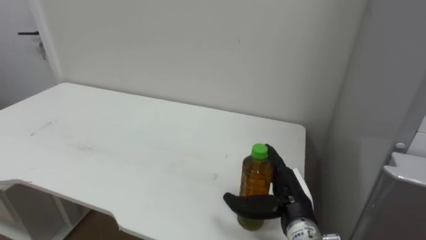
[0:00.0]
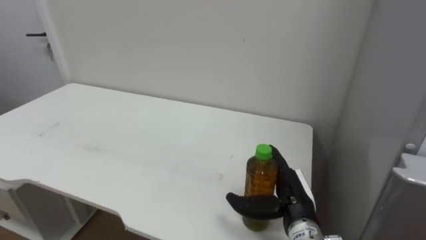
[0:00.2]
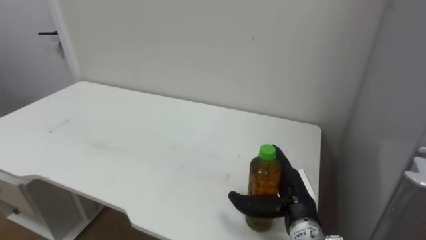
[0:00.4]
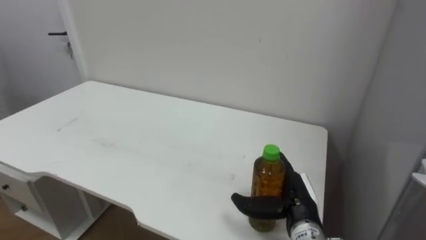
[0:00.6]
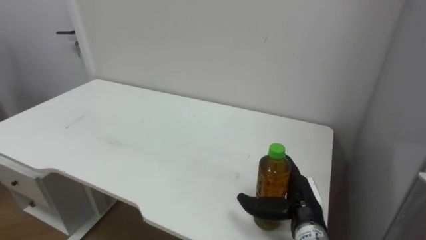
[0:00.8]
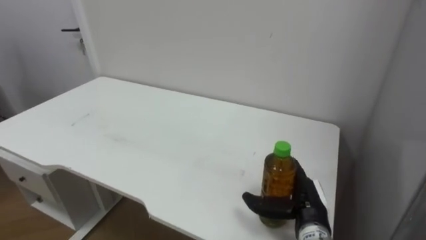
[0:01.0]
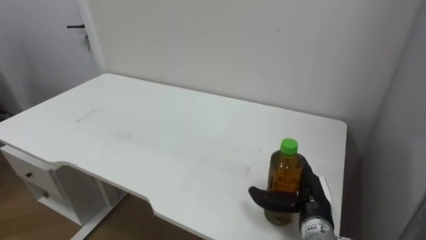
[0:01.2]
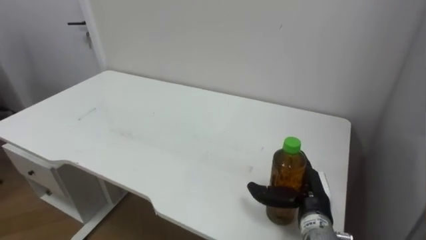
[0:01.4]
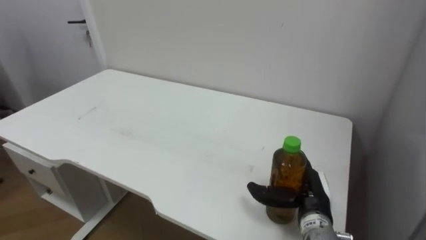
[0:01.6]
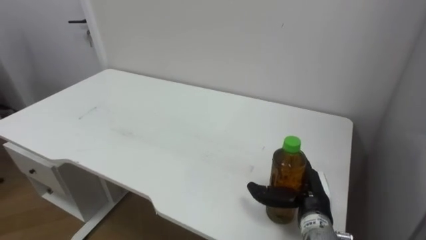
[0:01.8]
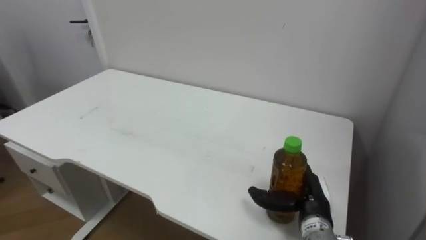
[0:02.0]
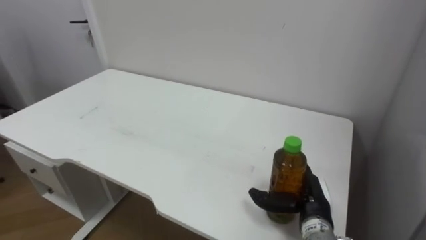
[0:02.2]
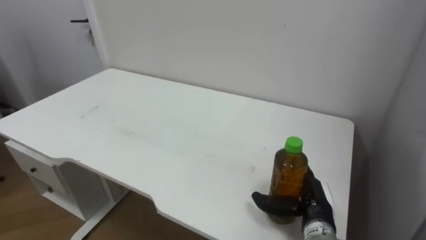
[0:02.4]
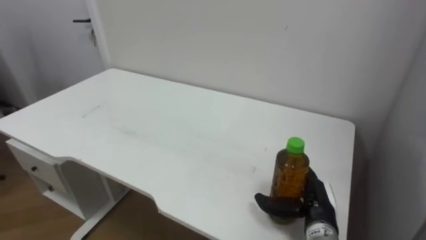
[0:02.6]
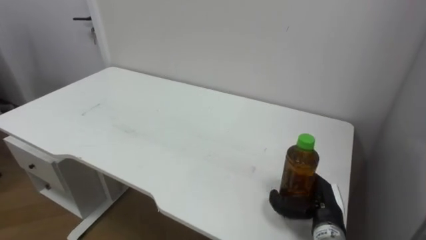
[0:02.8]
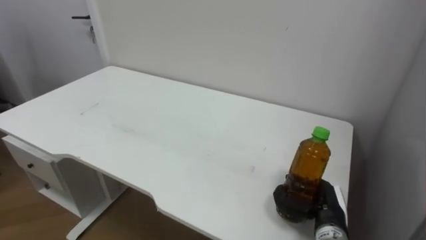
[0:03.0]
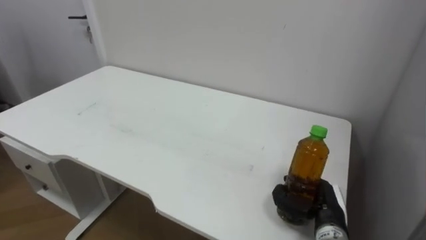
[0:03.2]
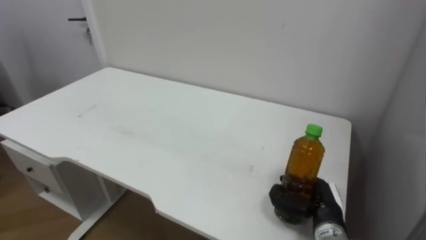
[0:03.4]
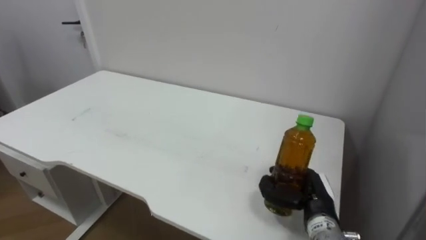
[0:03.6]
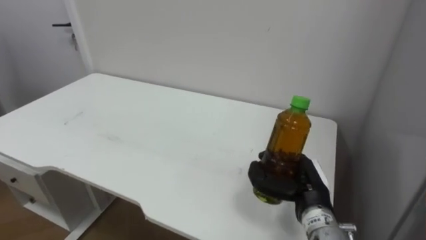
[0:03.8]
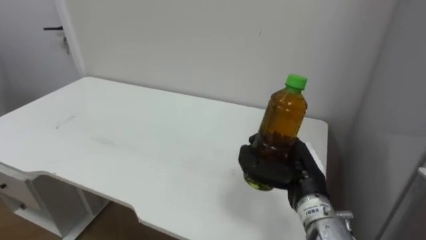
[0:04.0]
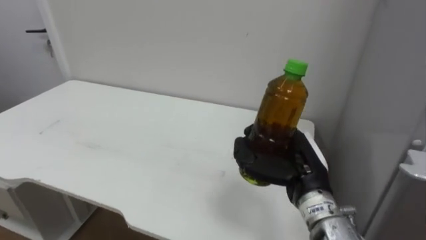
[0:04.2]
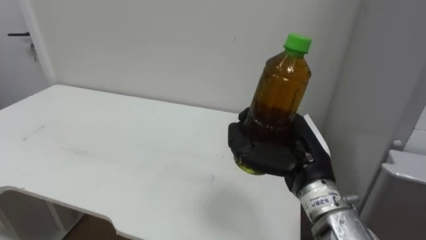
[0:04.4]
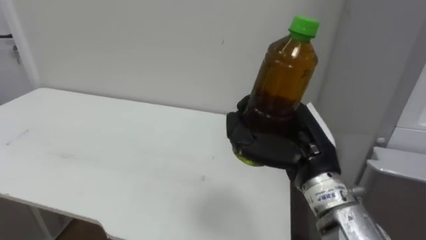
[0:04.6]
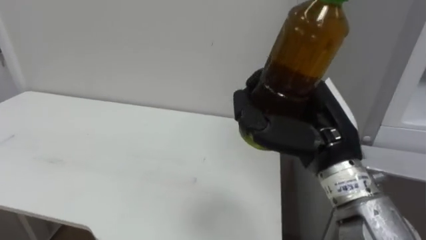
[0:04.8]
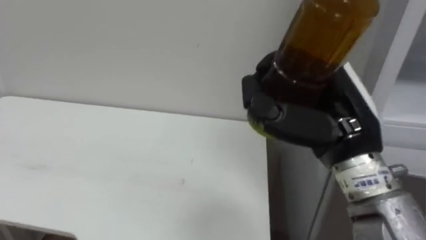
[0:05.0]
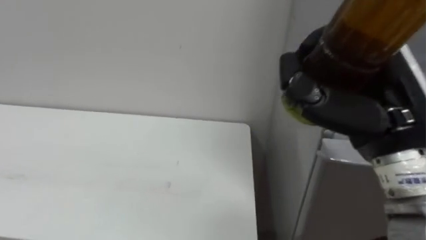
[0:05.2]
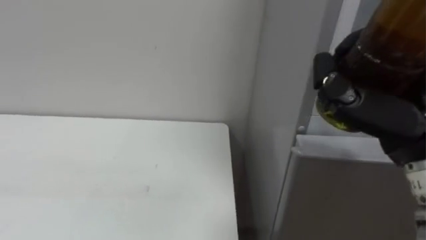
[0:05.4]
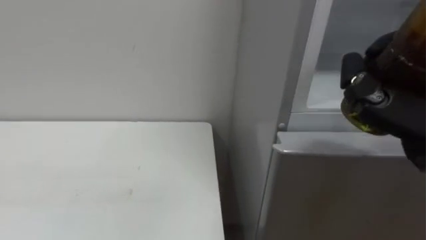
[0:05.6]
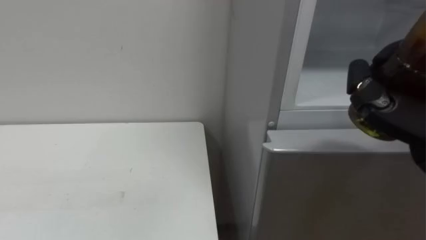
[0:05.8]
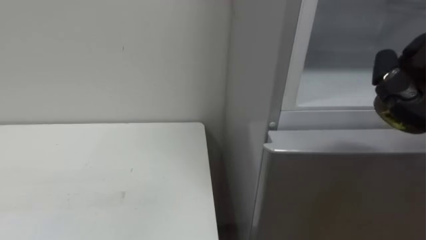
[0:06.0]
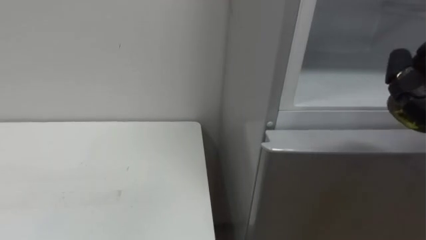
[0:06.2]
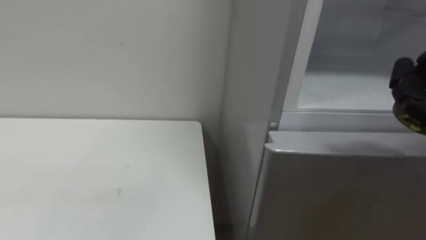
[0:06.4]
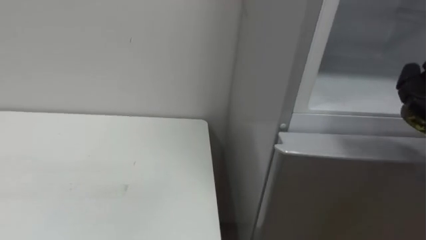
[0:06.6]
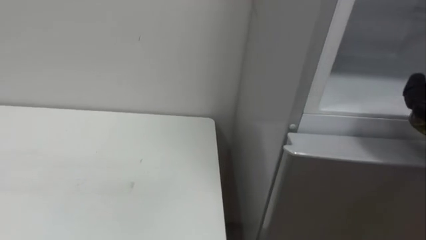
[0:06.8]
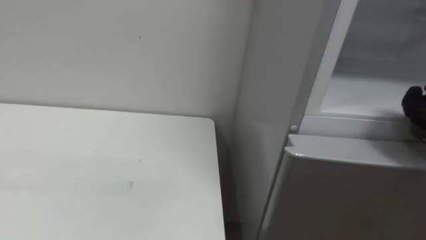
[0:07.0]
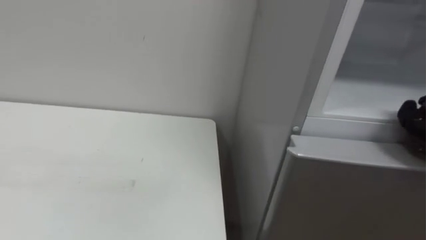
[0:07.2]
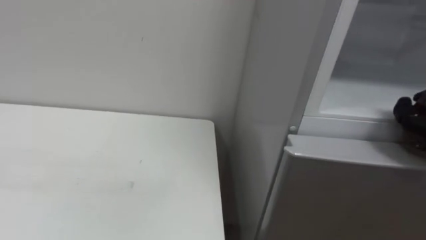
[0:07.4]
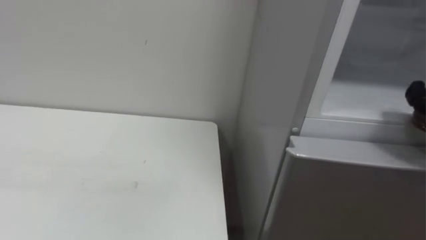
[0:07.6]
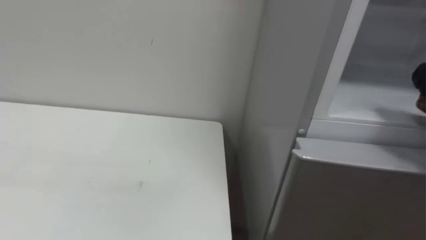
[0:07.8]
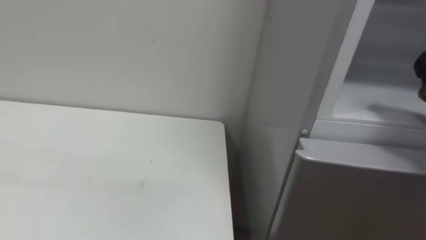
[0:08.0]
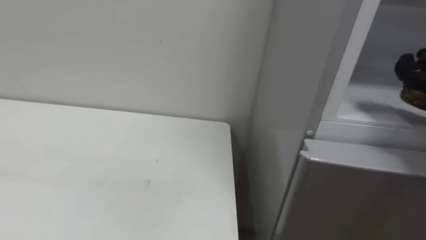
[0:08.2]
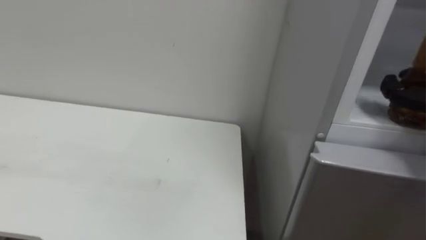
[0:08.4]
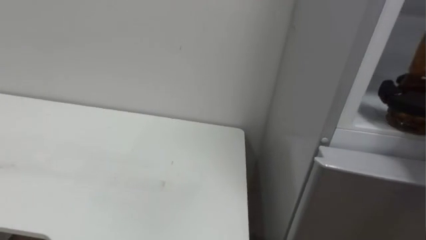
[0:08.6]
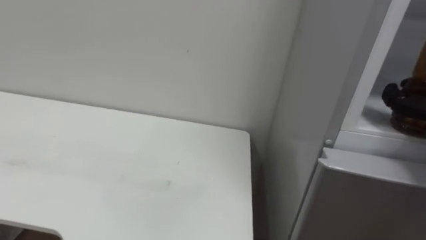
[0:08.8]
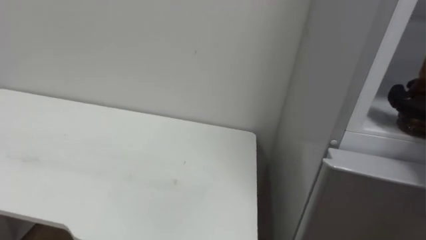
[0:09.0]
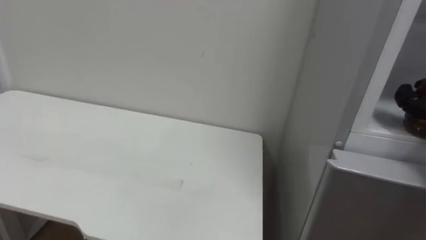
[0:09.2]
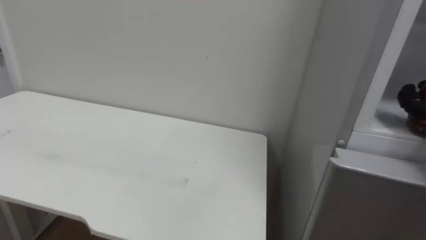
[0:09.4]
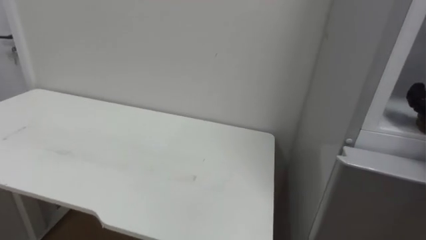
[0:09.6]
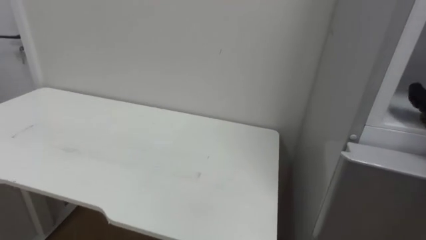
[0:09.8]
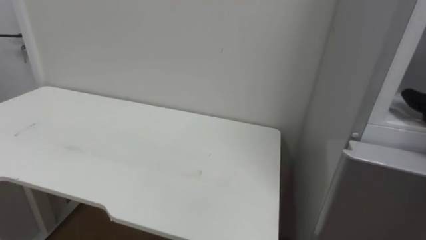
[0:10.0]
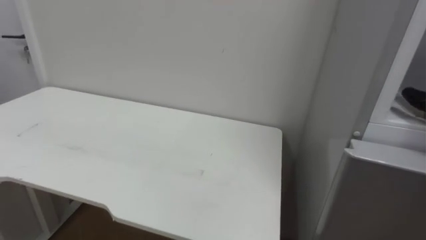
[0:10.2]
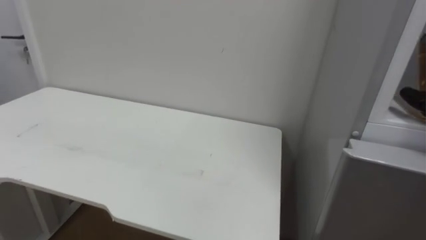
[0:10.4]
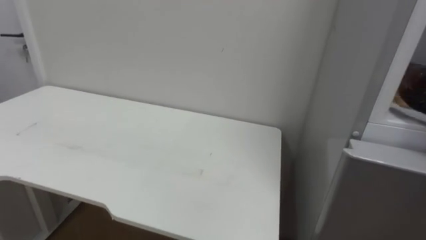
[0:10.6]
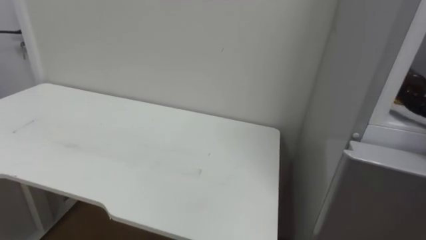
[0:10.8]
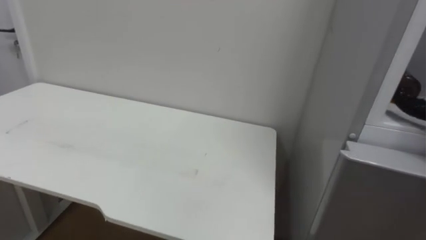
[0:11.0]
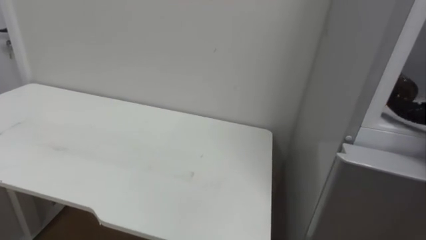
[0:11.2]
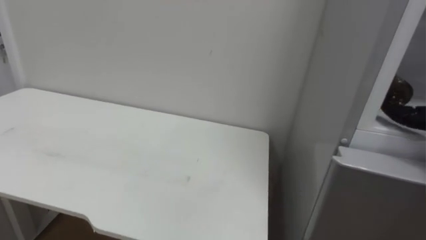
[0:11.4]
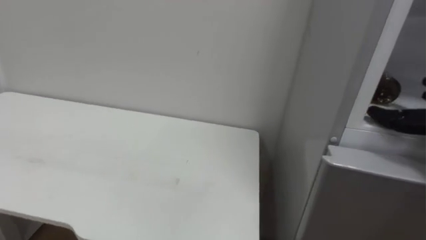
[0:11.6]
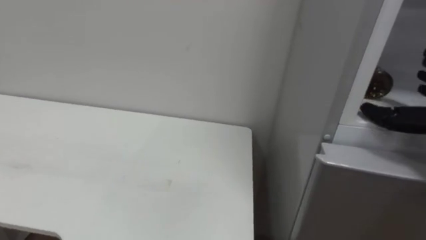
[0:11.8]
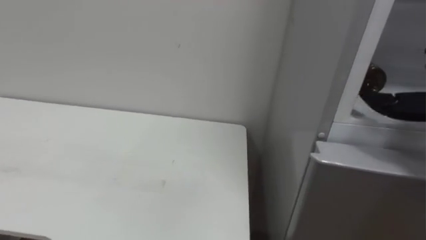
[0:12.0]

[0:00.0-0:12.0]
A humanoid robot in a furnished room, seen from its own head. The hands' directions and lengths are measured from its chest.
Task of the whole recording: Open the upper refrigerator door, put the drink from the table into the refrigerator, and then close the refrigerator door.
0:01.6 to 0:03.0: The right hand closes up.
0:03.0 to 0:04.4: The right hand goes some 20 cm upward and to the left.

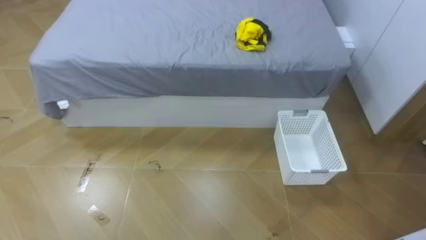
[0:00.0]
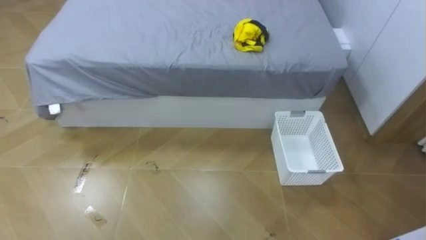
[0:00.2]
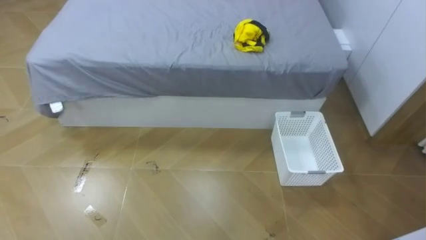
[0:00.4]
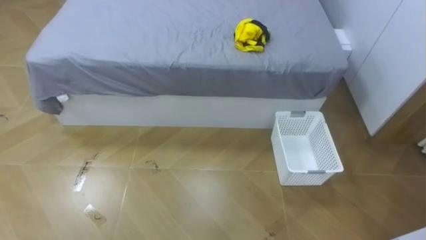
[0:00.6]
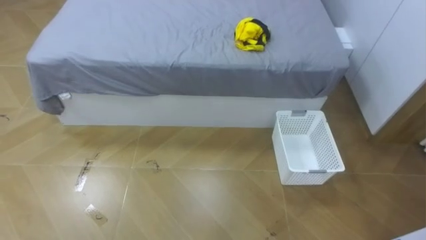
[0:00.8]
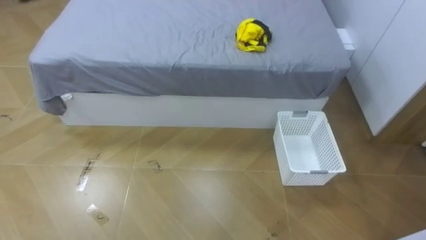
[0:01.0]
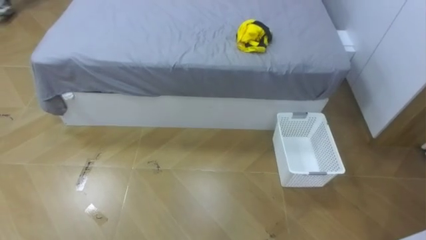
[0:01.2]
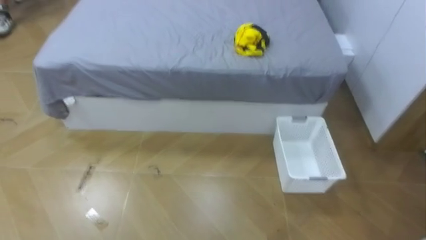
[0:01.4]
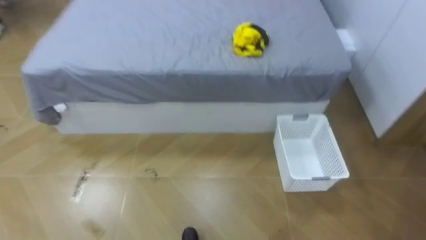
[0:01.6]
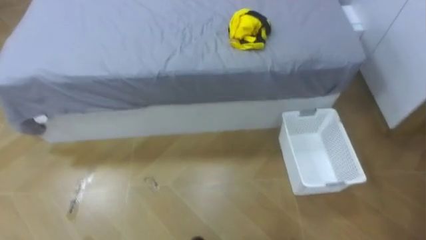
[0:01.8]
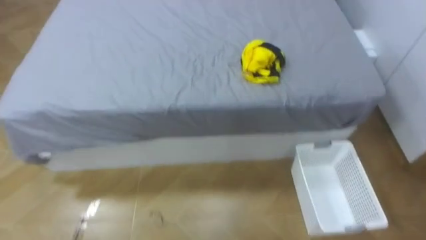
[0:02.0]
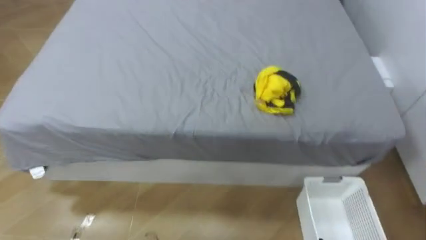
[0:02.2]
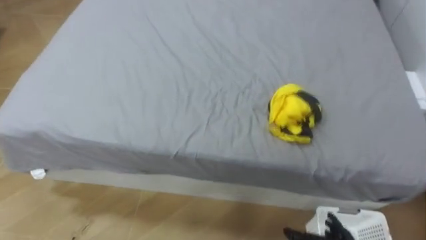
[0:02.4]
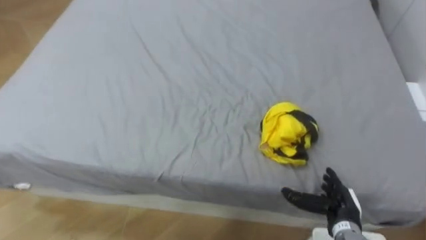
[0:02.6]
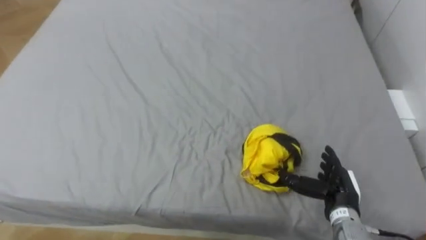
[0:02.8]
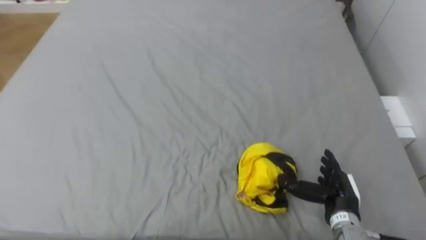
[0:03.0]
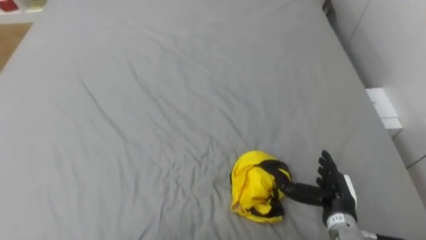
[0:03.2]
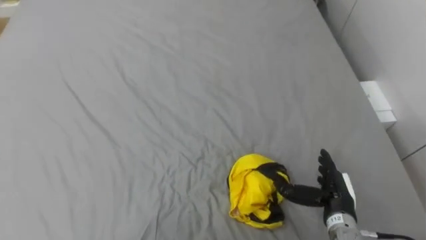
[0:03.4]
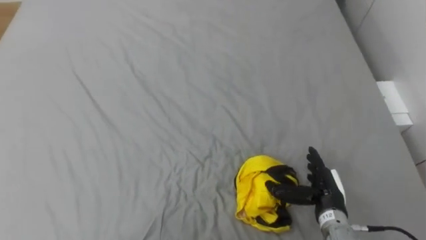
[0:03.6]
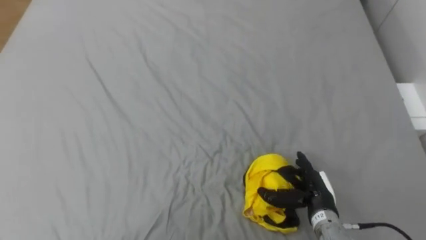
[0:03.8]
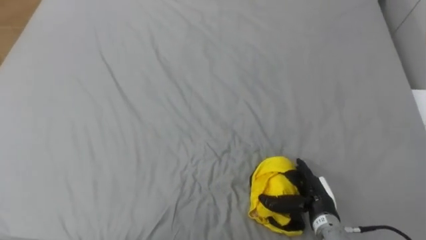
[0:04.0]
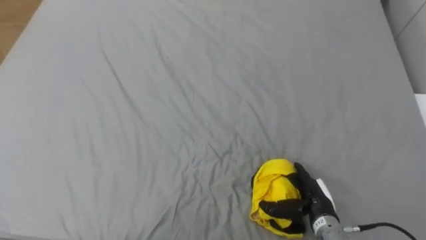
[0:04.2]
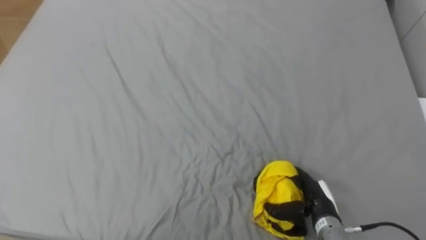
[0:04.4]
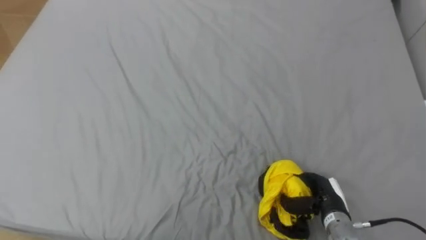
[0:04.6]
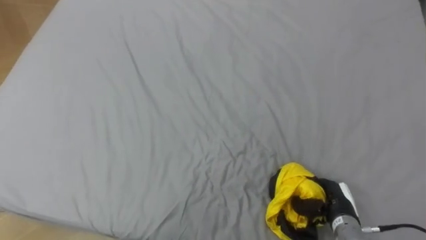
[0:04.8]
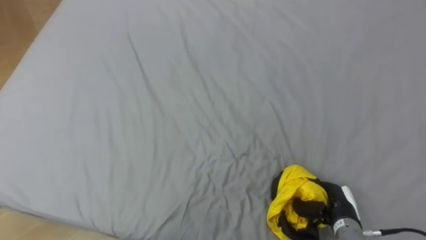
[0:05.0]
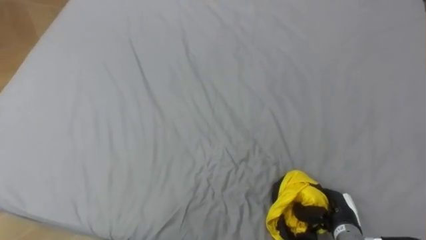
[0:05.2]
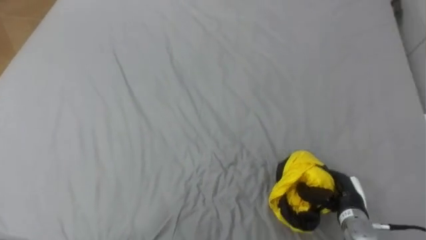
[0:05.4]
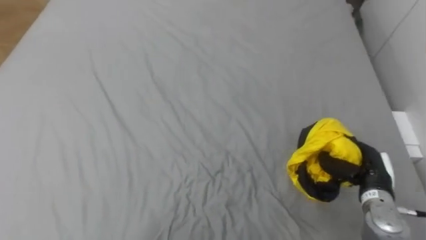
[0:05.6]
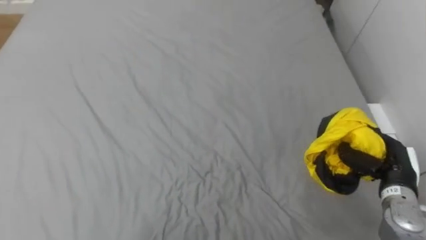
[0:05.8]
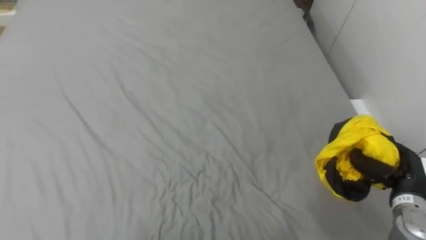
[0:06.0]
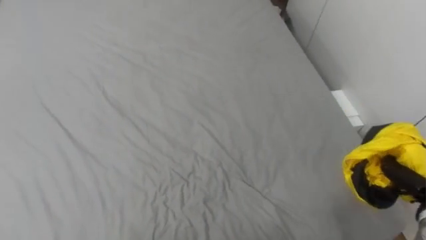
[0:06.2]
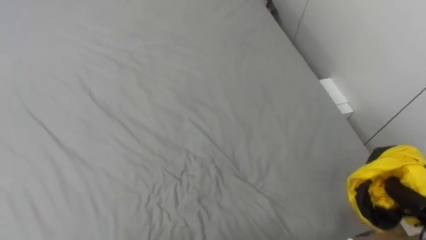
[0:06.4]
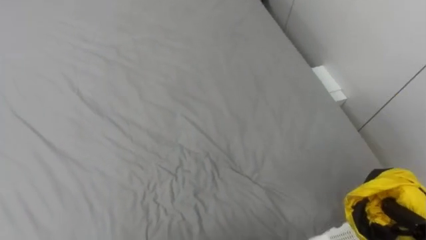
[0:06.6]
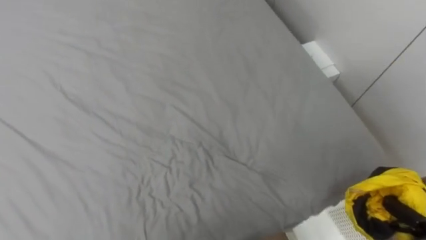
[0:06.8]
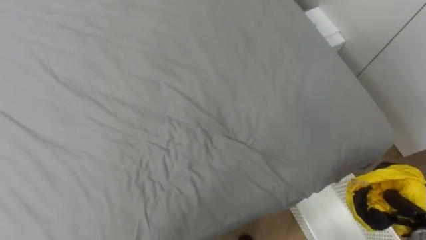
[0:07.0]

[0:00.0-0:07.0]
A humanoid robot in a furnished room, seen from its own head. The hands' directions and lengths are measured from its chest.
Task of the whole recording: Pick up the yellow clothes on the bed and place them into the white basket on the right.
0:02.8 to 0:04.2: The right hand moves some 5 cm.
0:04.2 to 0:05.6: The right hand moves to the right and upward, some 10 cm, and closes its fingers.
